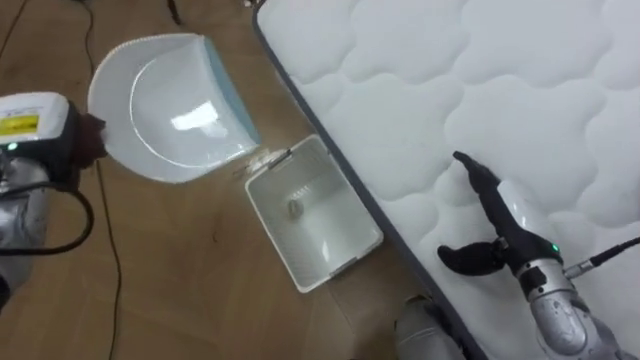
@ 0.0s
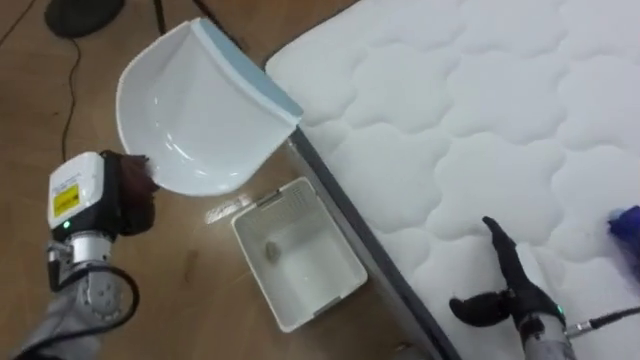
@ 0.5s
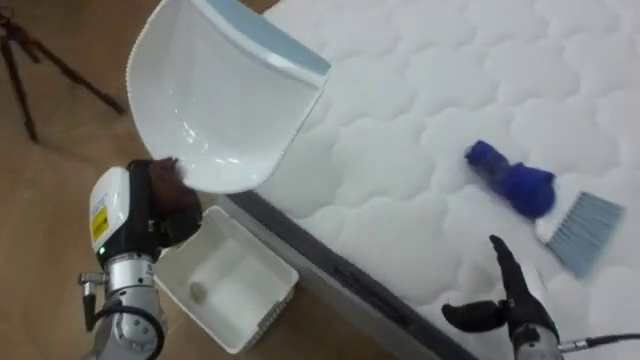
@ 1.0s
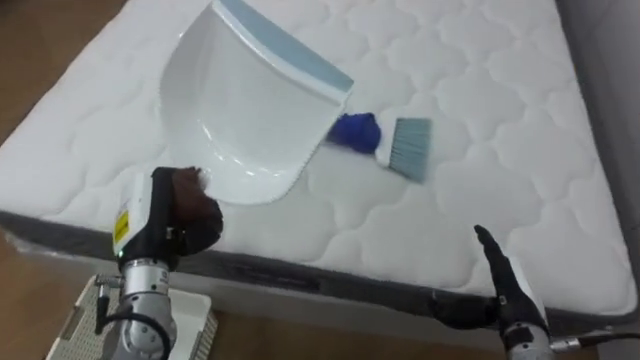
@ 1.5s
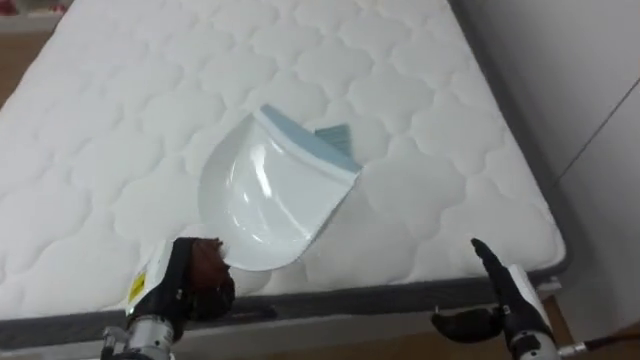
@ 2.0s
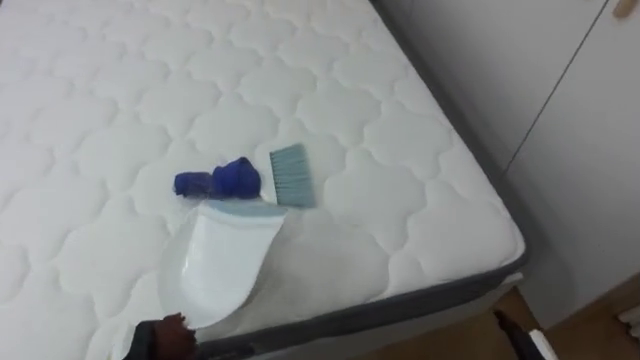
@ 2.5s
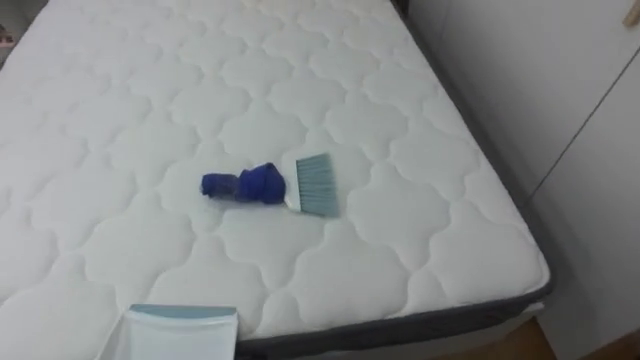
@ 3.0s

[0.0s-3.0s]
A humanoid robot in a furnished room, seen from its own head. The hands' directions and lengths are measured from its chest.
Task of the whole recording: Pick up the brush on your right and the dustpan on your left. Use the brush to sweep the crumpled paper on the bed into the dustpan, then turn left and empty it into the basket.
0.0s to 1.5s: The robot turns to its right by roughly 65 degrees. The left hand goes roughly 15 cm to the right, backward and downward. Meanwhile the right hand is displaced downward and backward by approximately 10 cm.
1.5s to 3.0s: The robot faces approximately 25 degrees further to its right.

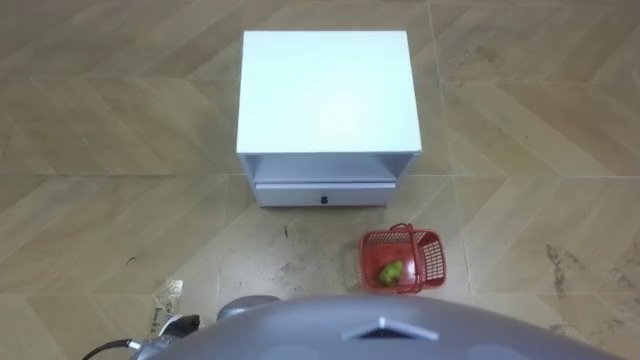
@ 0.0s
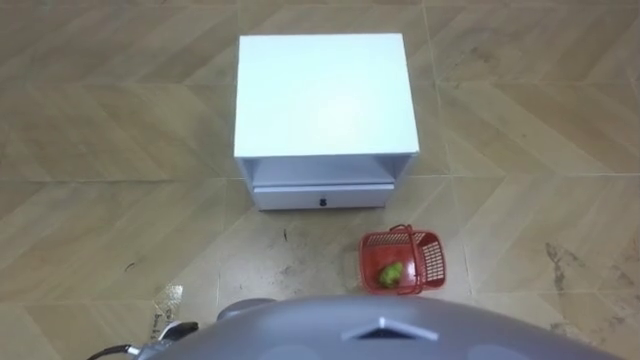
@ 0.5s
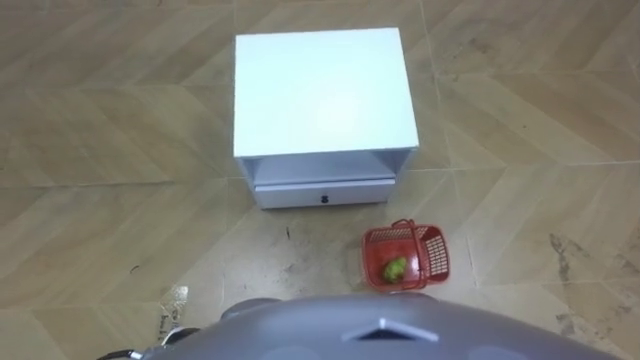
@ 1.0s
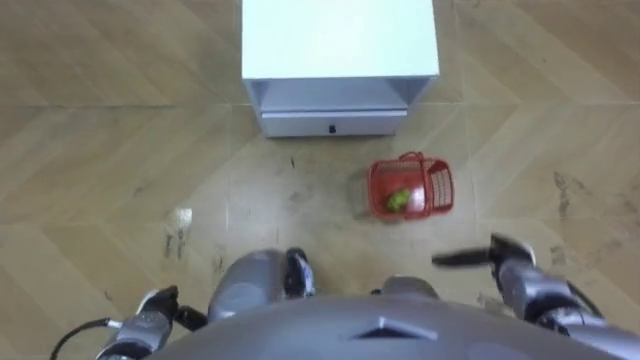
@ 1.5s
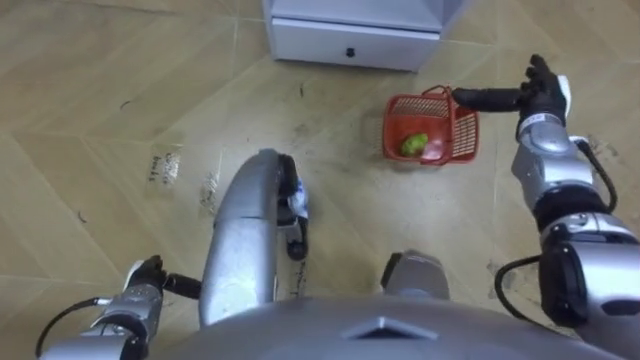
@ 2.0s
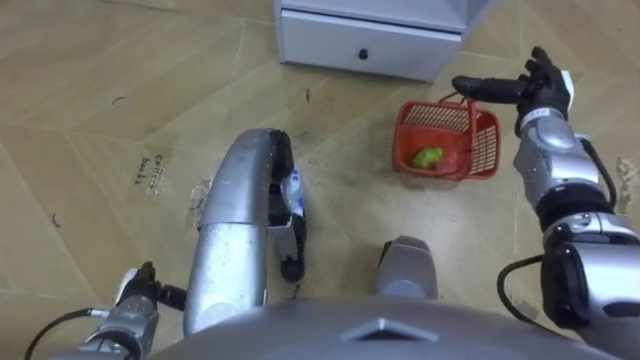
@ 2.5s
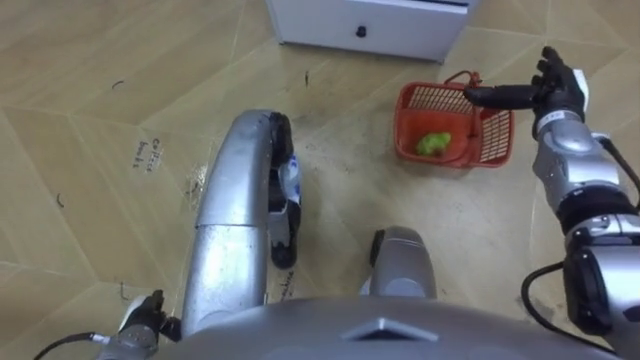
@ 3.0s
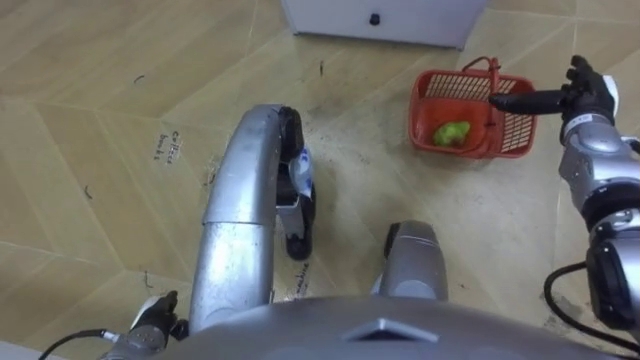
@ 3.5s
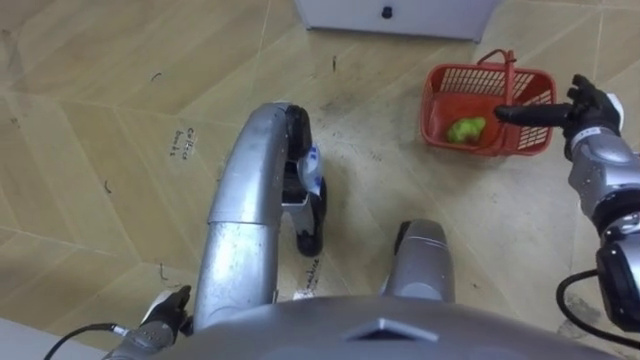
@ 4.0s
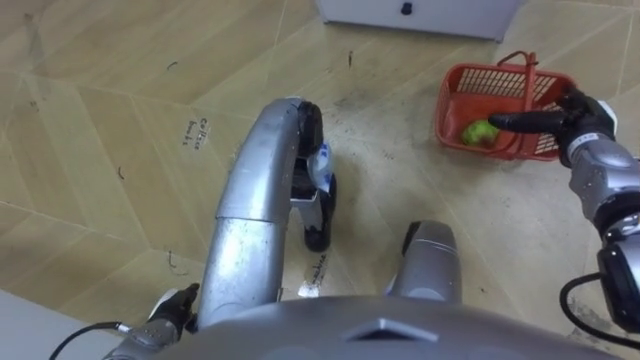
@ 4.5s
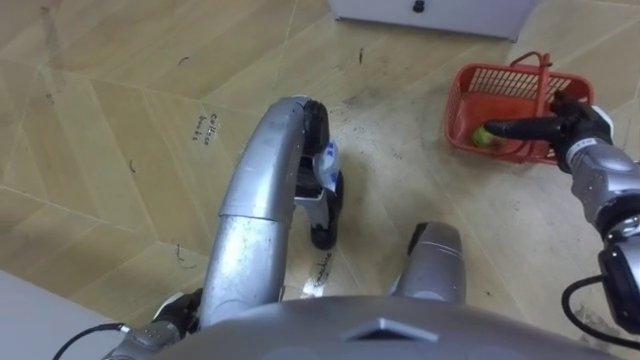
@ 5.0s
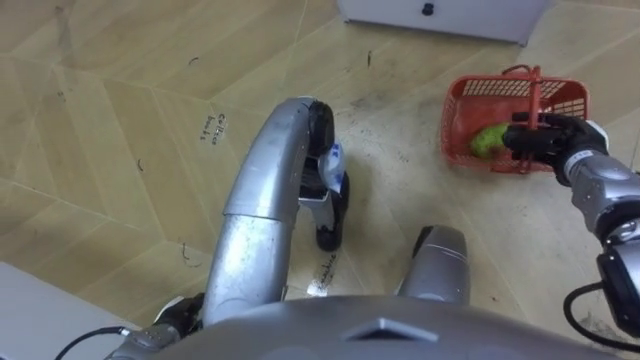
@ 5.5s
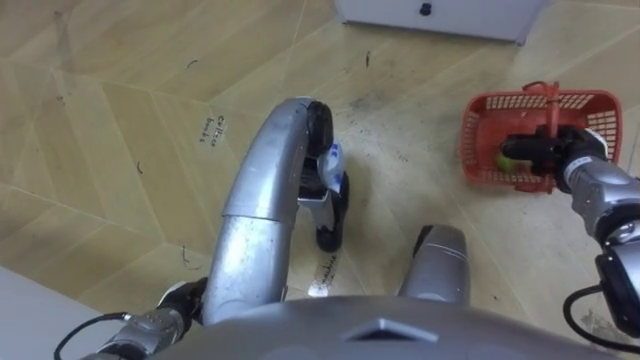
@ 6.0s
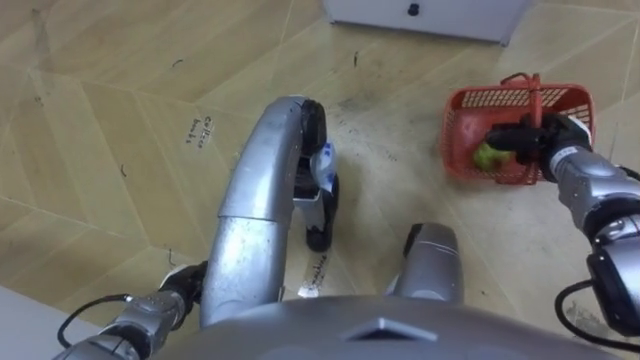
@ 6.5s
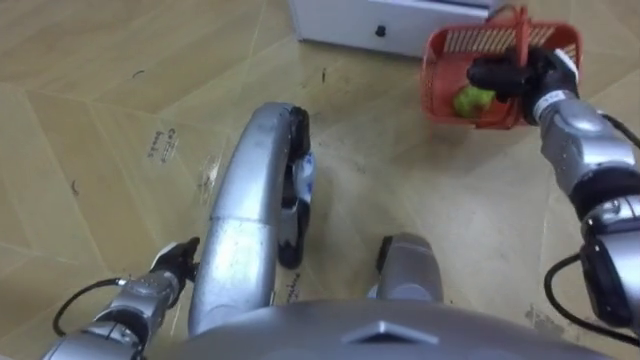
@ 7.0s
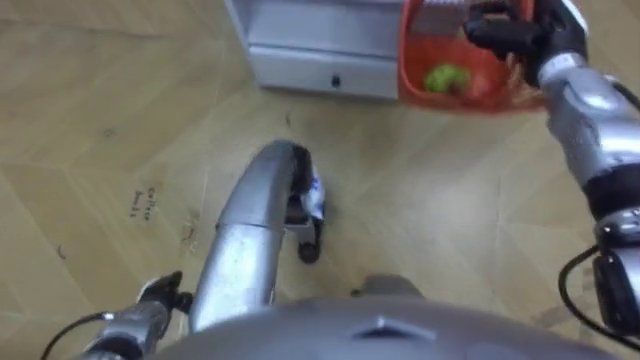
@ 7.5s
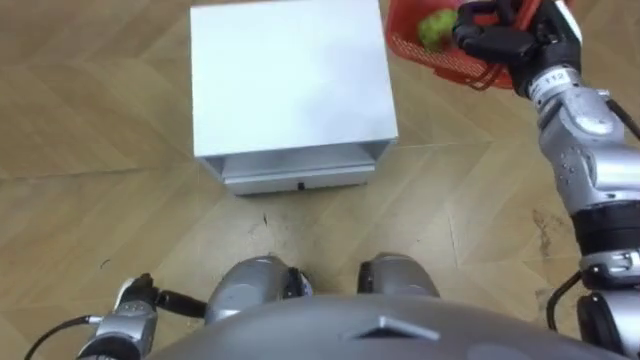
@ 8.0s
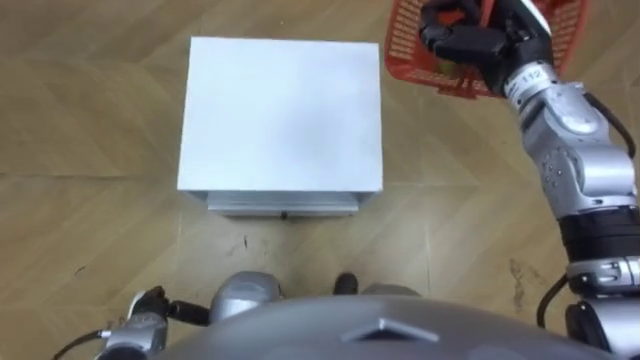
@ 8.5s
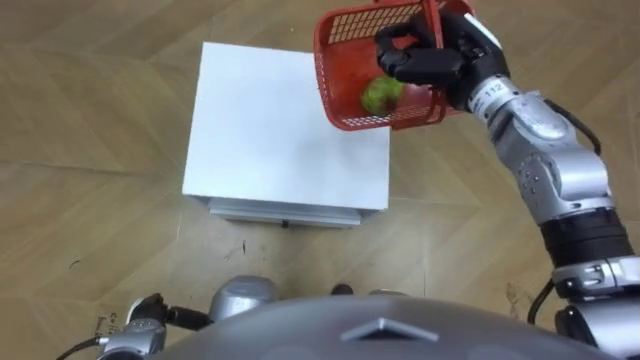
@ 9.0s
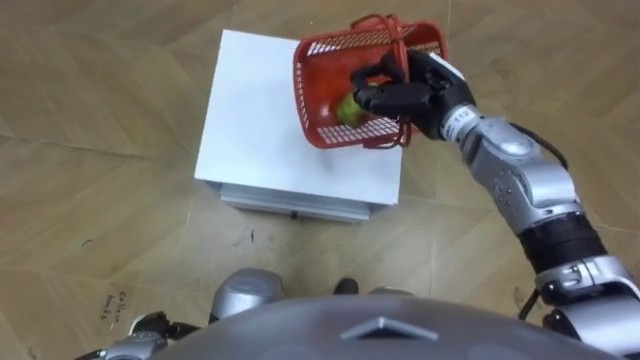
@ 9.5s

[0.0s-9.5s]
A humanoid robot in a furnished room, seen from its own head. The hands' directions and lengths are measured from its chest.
Task of the whole recording: Pick up the fruit basket from the floor and place it on the cabinet.
2.0s to 4.0s: The left hand heads backward, covering some 5 cm. Meanwhile the right hand is displaced to the right by approximately 5 cm.
4.0s to 5.5s: The right hand closes its fingers.
5.5s to 7.5s: The left hand is displaced forward by roughly 5 cm. The right hand moves upward, forward and to the left, roughly 15 cm, and closes.
7.5s to 9.5s: The right hand travels to the left and backward by some 15 cm; the left hand is displaced backward by roughly 5 cm.

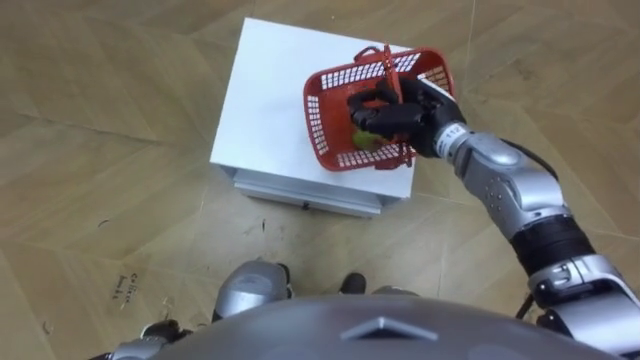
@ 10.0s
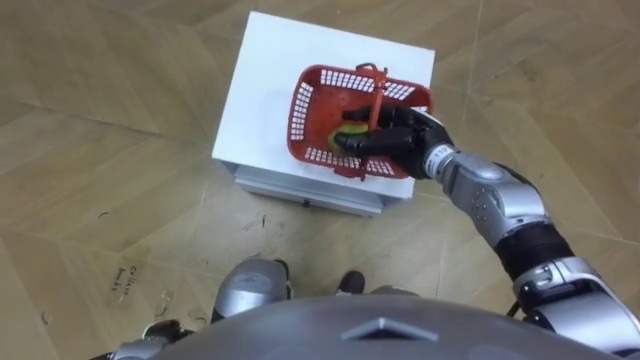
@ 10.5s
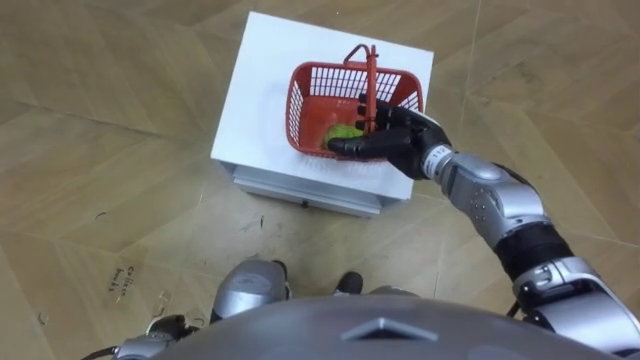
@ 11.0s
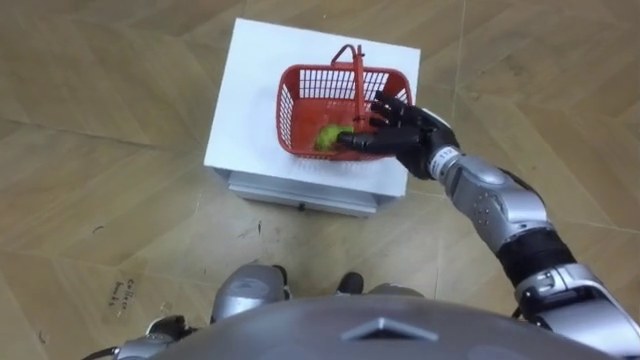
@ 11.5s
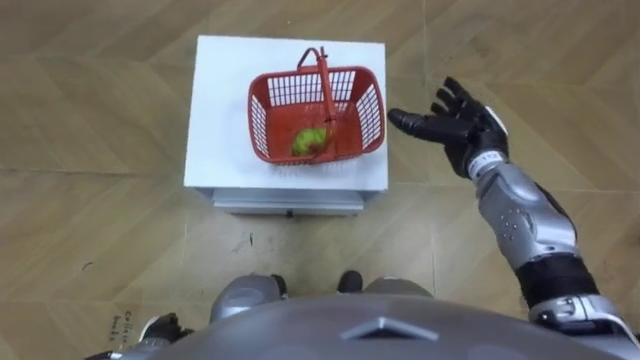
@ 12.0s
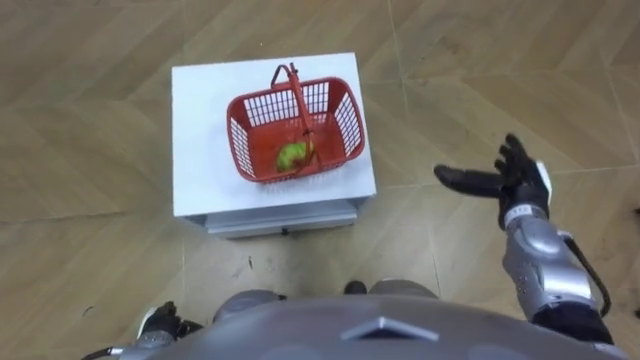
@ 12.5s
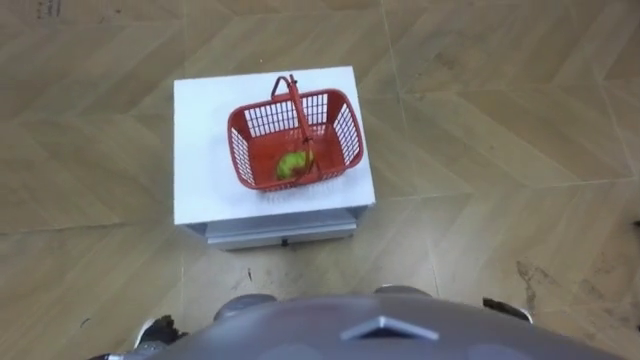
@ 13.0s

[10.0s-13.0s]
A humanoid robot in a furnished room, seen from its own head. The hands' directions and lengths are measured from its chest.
Task of the whole recording: Pick up the fruit basket from the floor and place it on the cabinet.
10.0s to 11.5s: The right hand opens.
11.5s to 13.0s: The right hand heads backward, to the right and downward, covering approximately 30 cm.

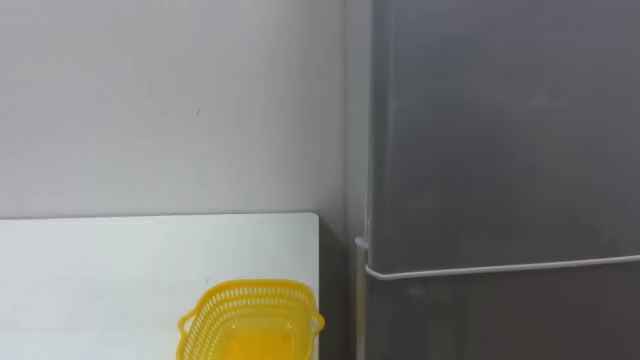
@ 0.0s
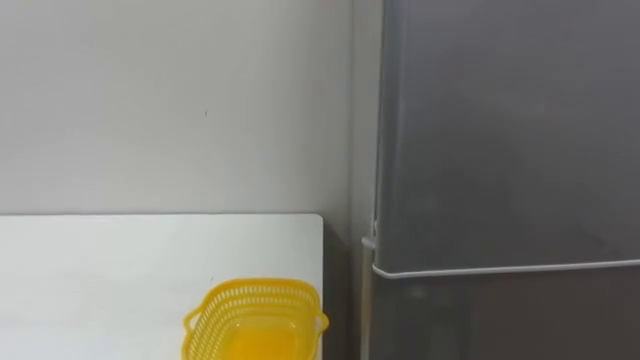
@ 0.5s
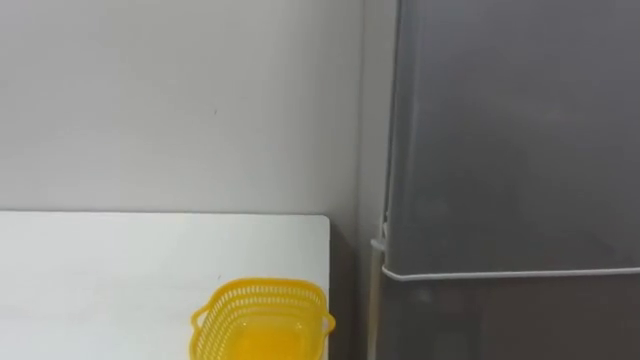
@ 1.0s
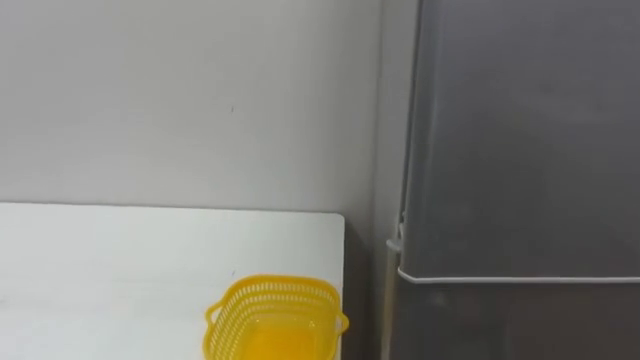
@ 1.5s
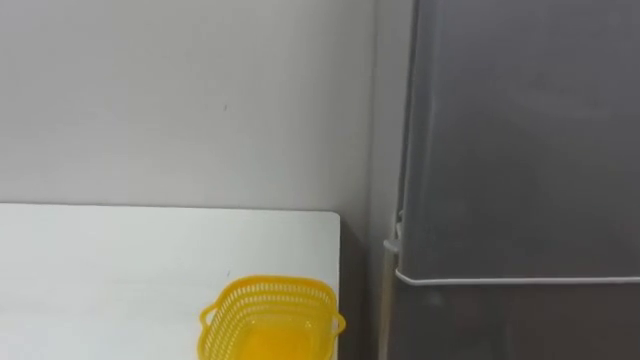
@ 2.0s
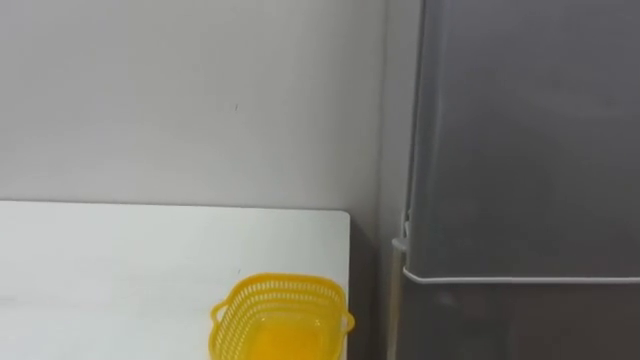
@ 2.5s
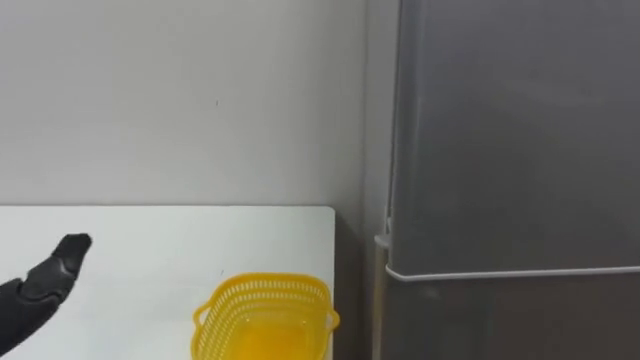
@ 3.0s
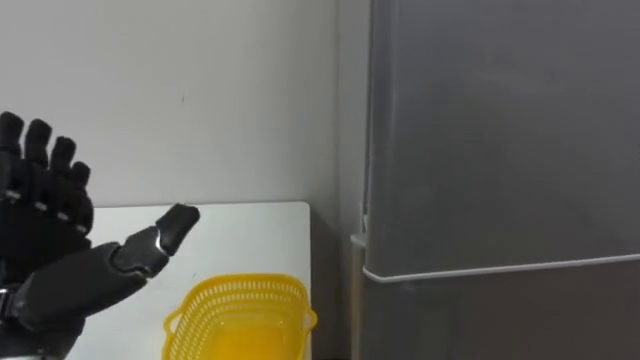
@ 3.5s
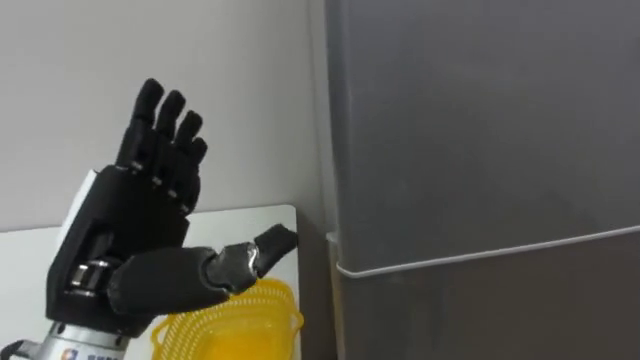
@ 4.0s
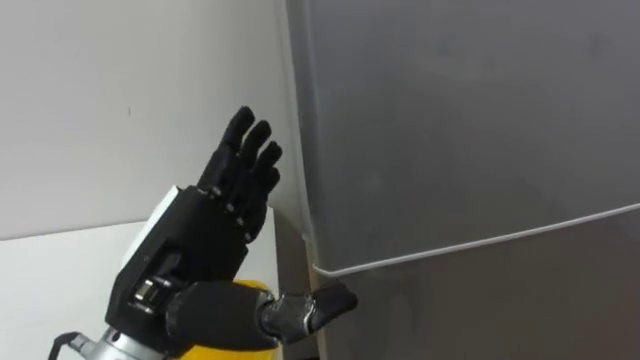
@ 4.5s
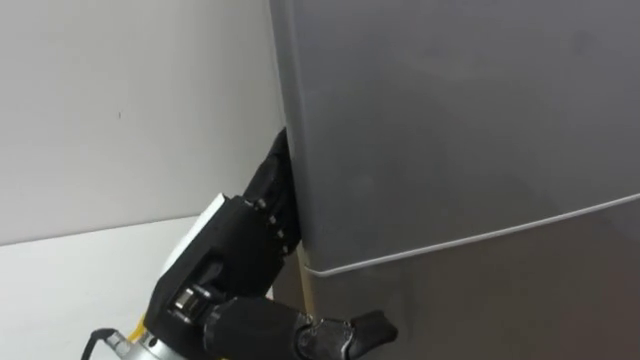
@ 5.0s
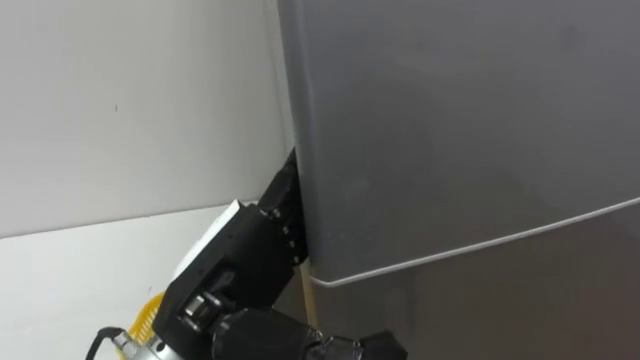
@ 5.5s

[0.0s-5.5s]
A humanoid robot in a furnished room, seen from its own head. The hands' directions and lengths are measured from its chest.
Task of the whole recording: Open the refrigerator door, take out the apple and the pomegranate, place them in the fruit basket on the left, and close the refrigerator door.
3.5s to 5.5s: The left hand heads to the right, covering roughly 15 cm.
